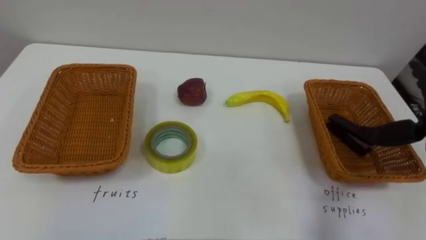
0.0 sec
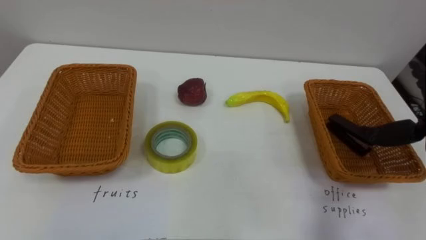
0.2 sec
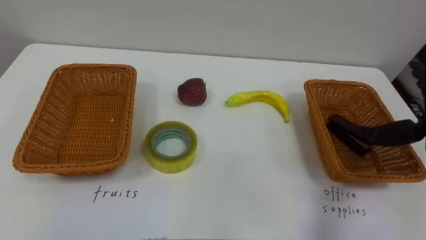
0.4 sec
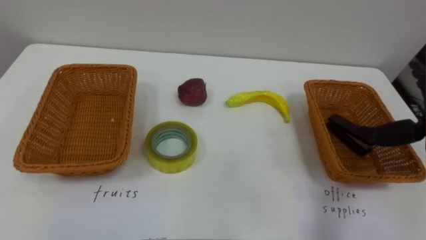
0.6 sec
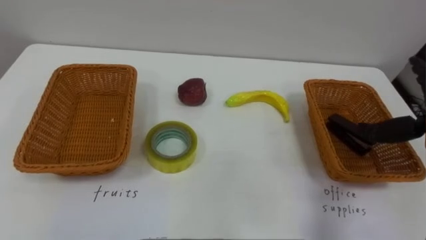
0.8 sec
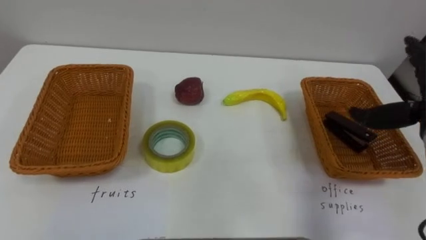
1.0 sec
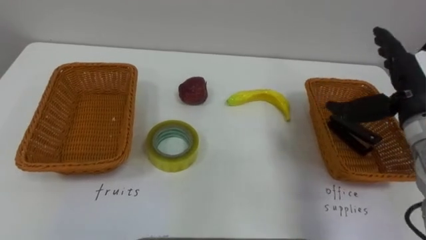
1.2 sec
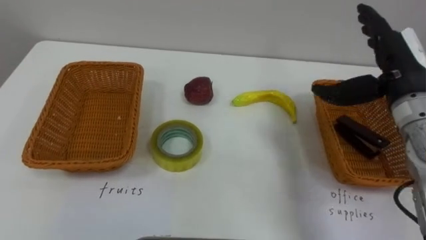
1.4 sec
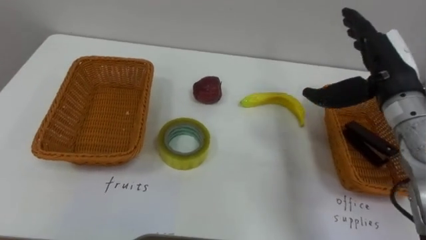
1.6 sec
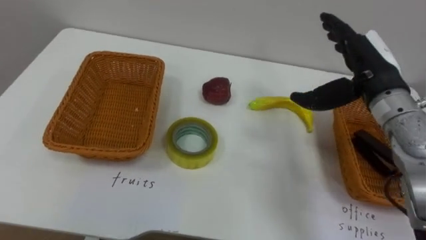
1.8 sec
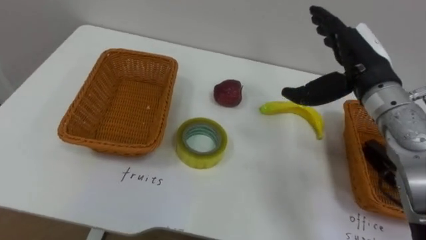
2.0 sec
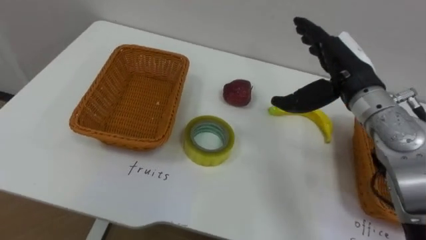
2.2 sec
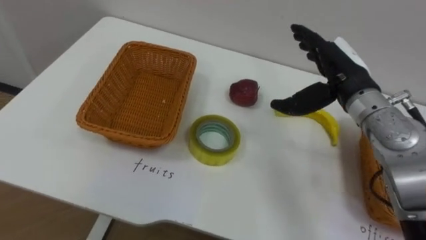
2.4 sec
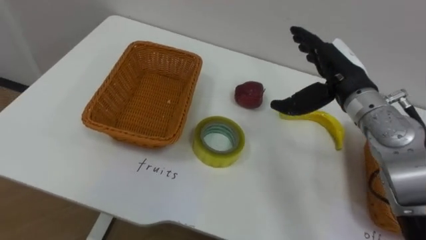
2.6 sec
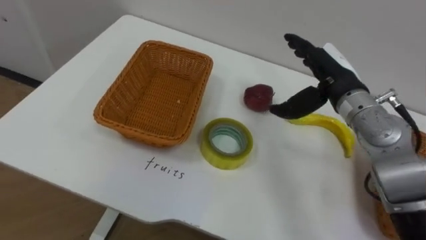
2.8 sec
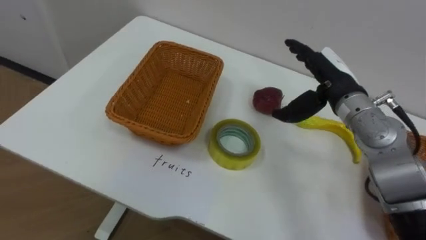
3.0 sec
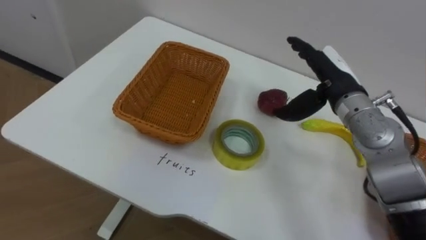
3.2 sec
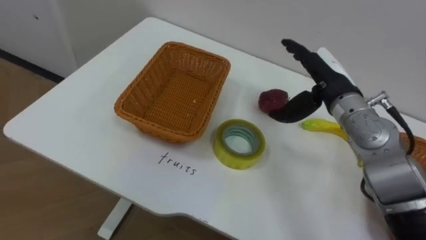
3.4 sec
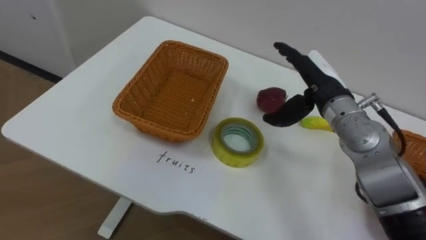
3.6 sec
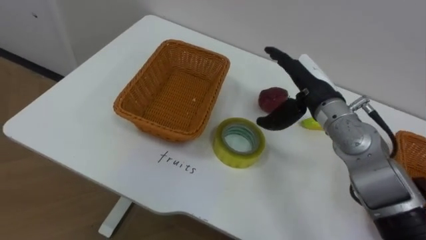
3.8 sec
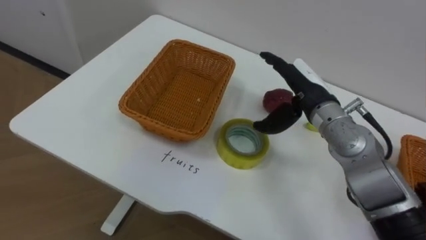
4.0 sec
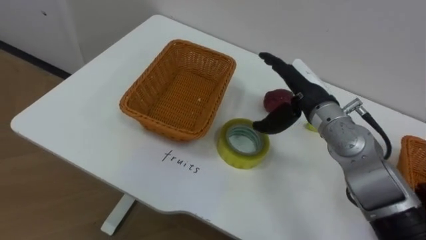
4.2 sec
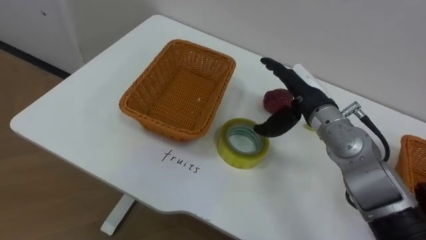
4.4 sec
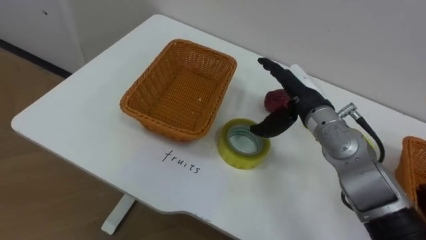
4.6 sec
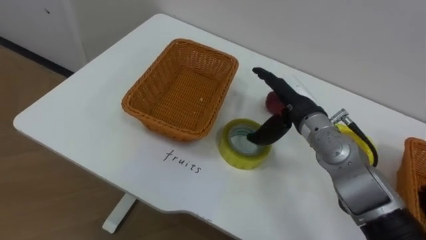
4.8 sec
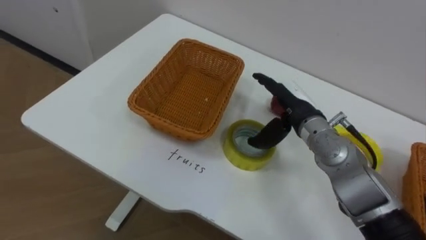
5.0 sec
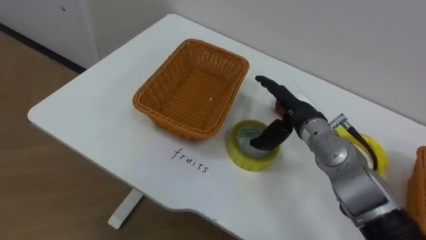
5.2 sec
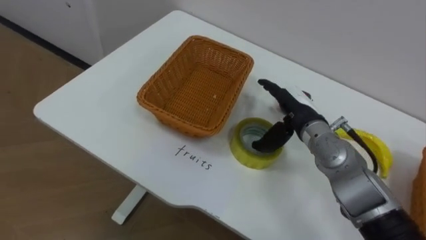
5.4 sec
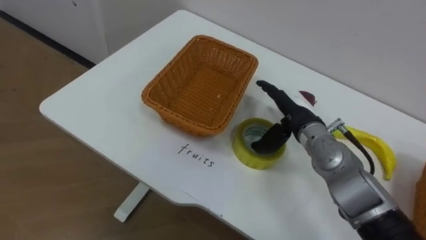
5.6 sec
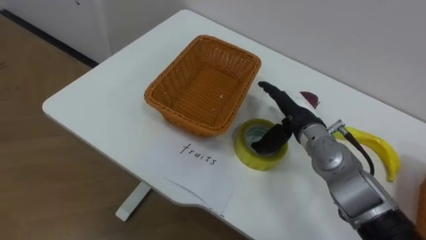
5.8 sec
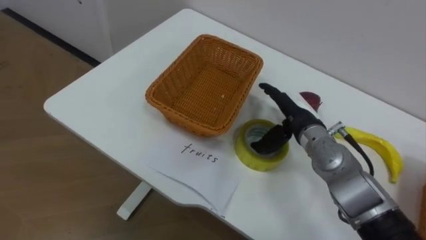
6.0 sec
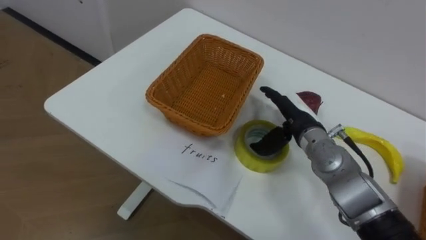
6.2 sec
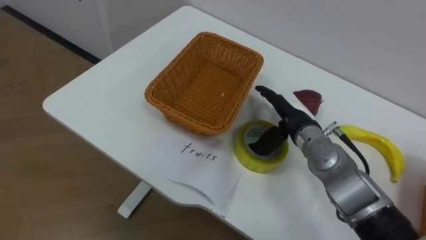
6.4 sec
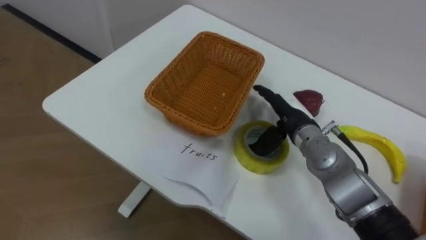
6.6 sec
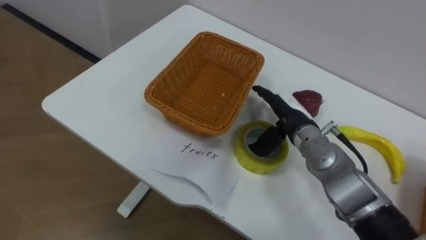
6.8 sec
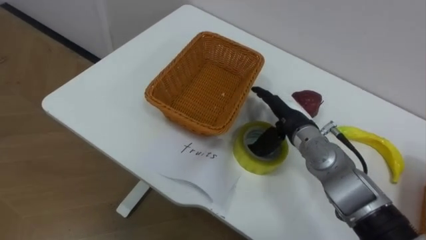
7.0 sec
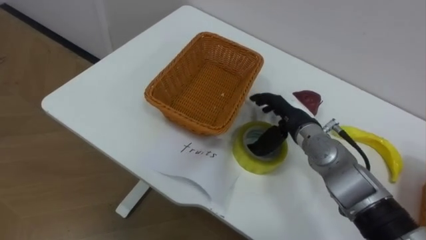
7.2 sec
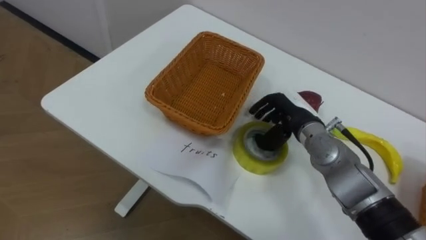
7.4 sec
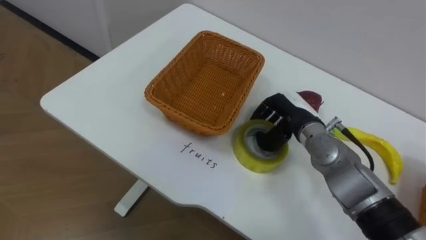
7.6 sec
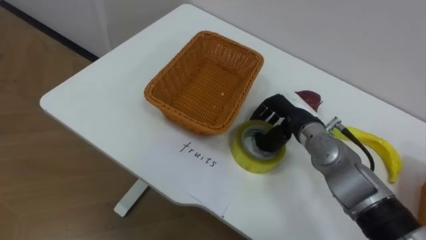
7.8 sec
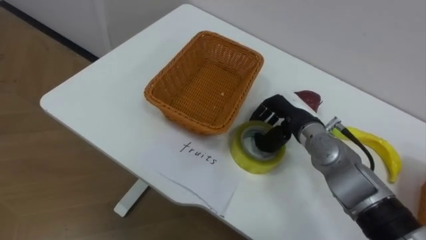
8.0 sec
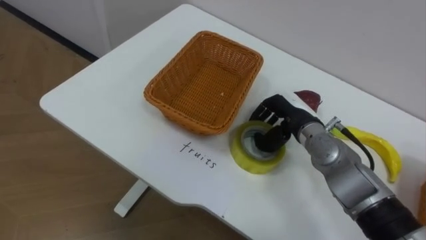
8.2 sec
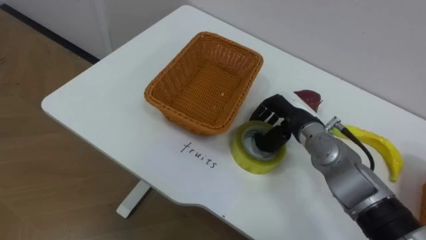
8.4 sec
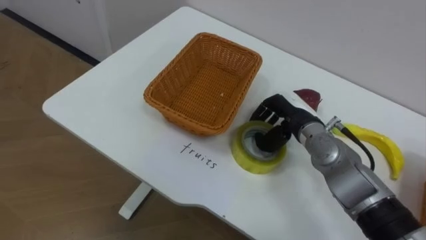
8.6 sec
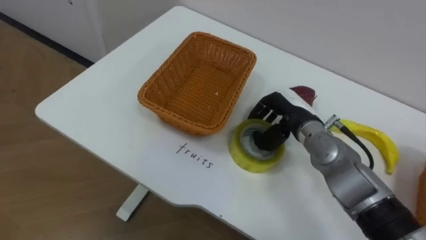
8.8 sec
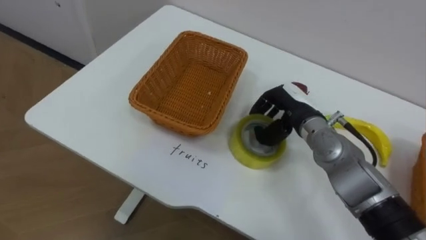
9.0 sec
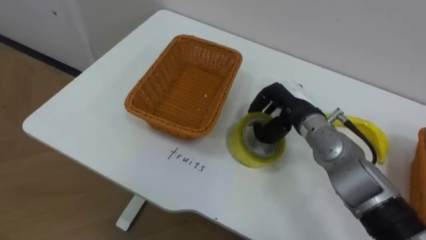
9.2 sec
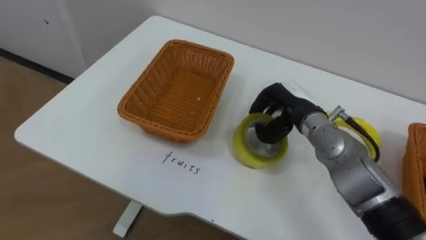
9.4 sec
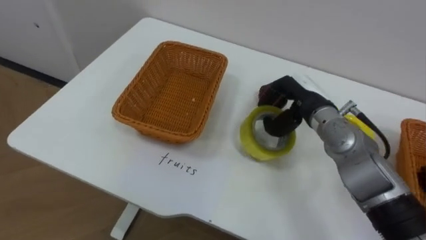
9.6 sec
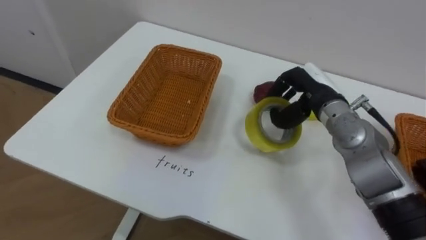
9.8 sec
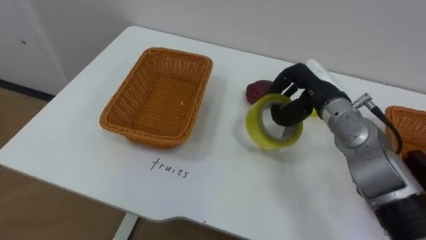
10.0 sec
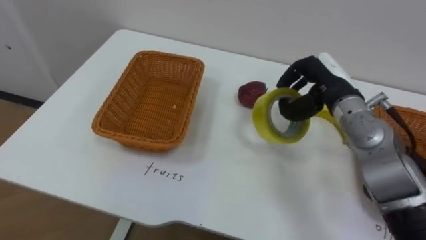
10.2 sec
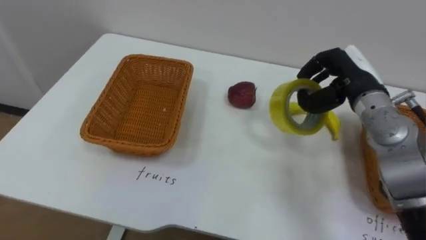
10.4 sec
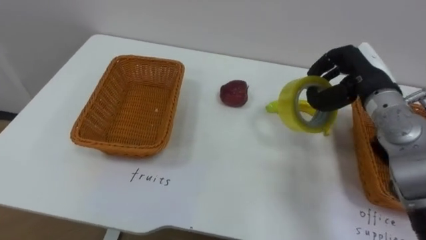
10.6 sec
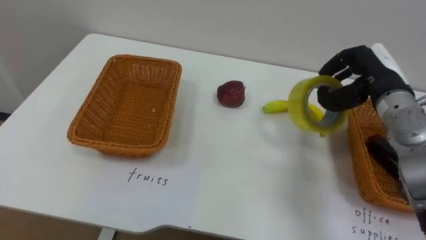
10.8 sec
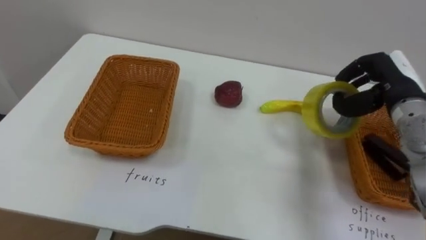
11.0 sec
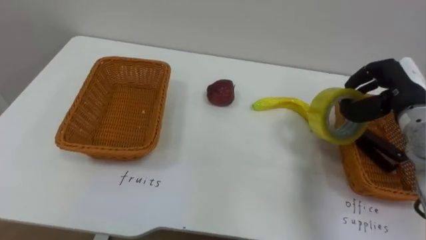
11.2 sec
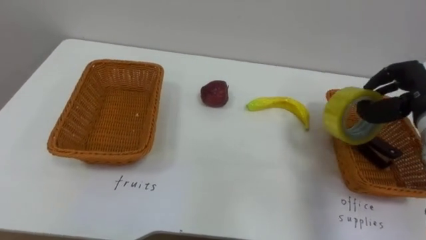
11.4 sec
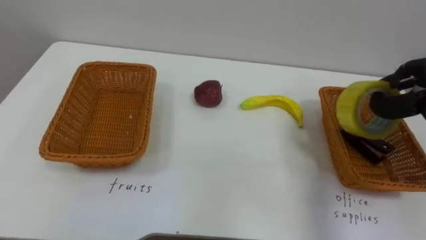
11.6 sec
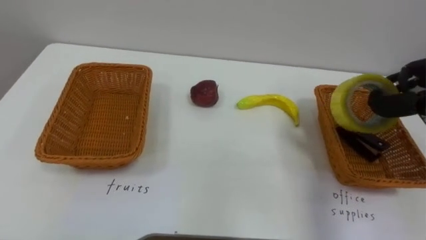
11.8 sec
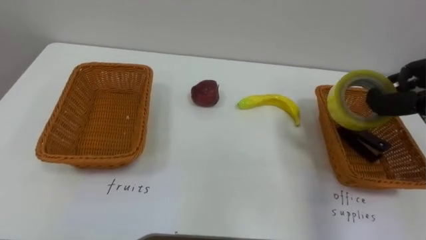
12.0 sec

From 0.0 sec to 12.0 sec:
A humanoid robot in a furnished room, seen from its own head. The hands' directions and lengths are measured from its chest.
Task of the whole recording: Separate the items on the table and place them into the two baskets.
From 1.6 sec to 3.0 sec: The right hand moves to the left, approximately 5 cm.
From 4.4 sec to 6.0 sec: The right hand travels downward by about 5 cm.
From 6.0 sec to 7.6 sec: The right hand closes.
From 9.0 sec to 10.4 sec: The right hand is displaced to the right and upward by about 10 cm.

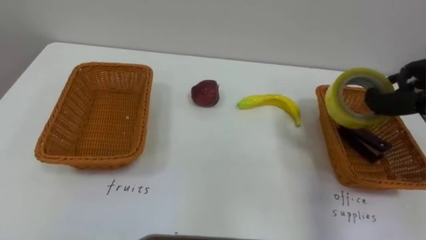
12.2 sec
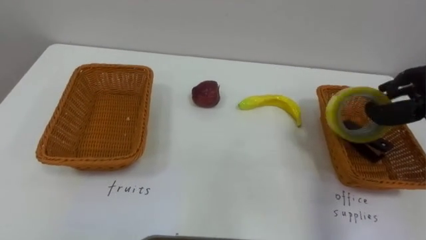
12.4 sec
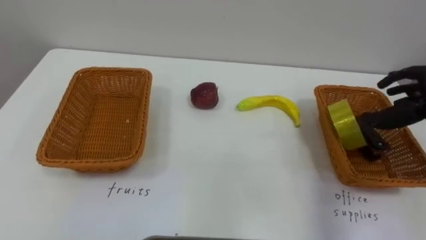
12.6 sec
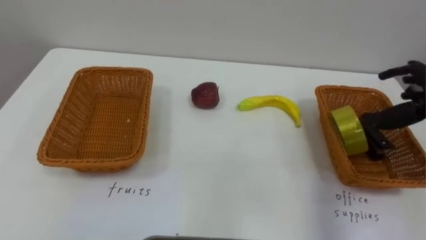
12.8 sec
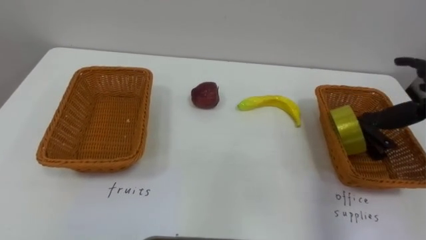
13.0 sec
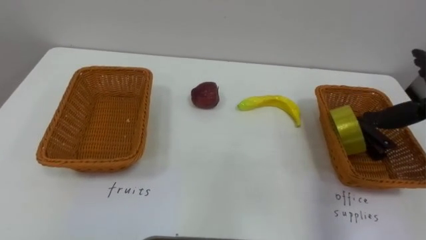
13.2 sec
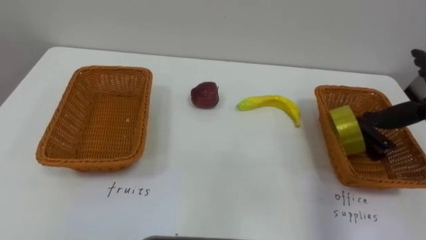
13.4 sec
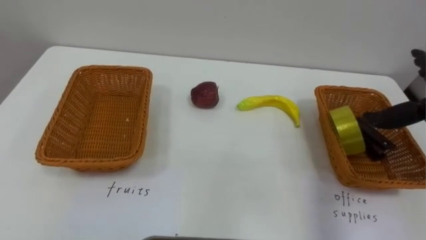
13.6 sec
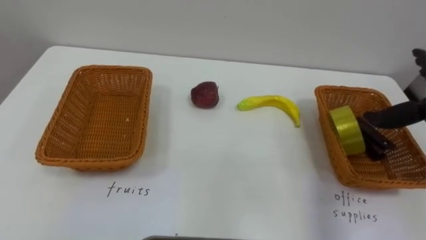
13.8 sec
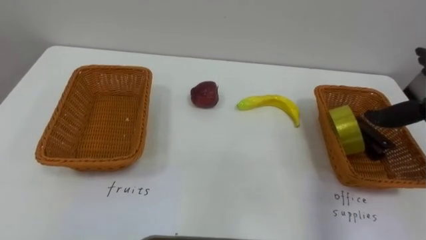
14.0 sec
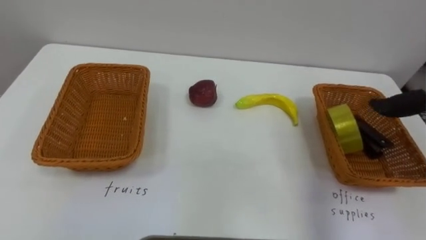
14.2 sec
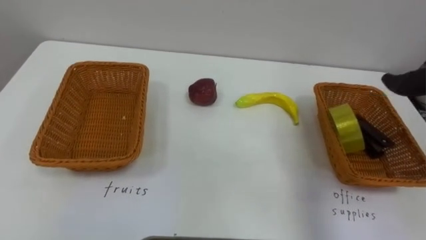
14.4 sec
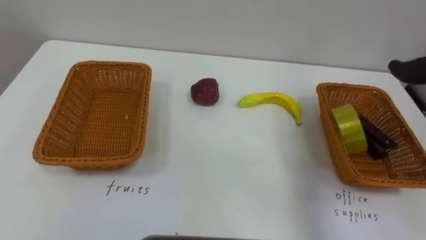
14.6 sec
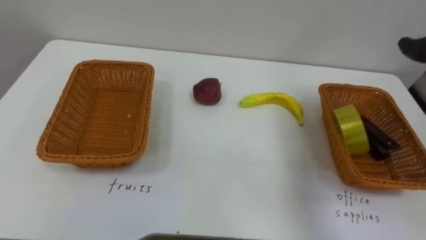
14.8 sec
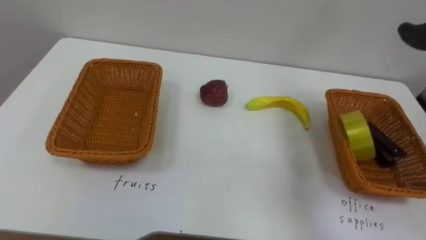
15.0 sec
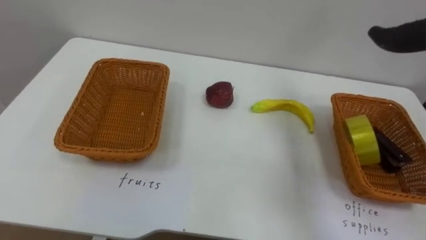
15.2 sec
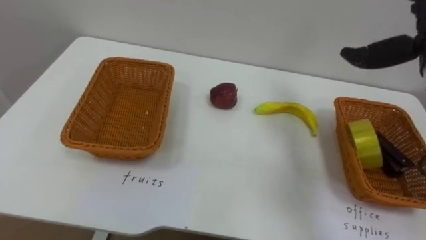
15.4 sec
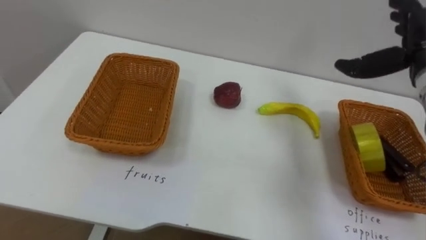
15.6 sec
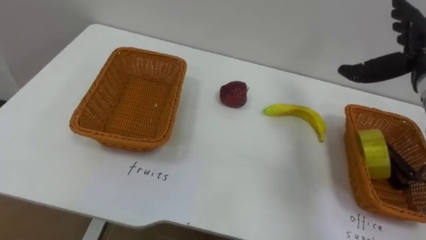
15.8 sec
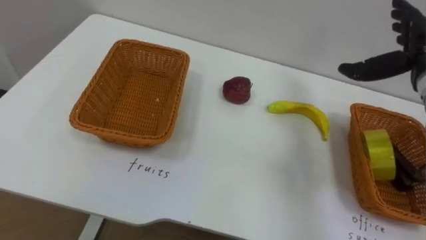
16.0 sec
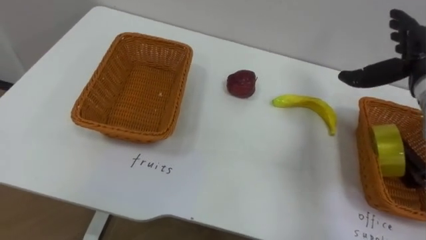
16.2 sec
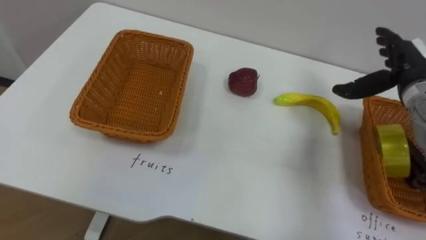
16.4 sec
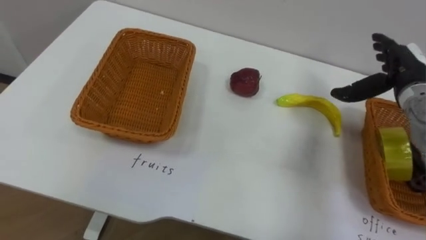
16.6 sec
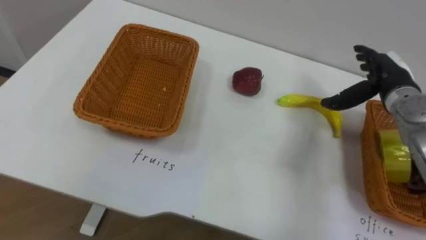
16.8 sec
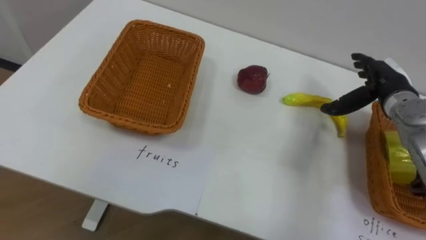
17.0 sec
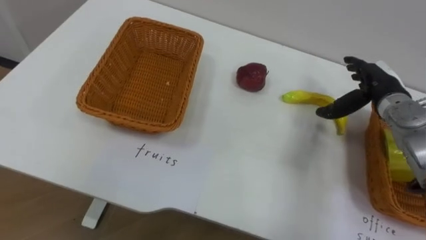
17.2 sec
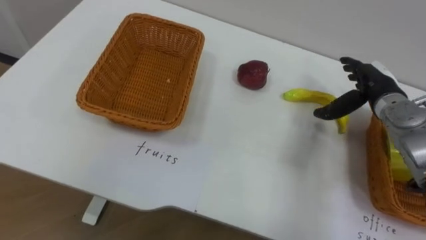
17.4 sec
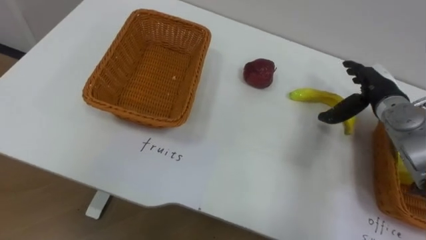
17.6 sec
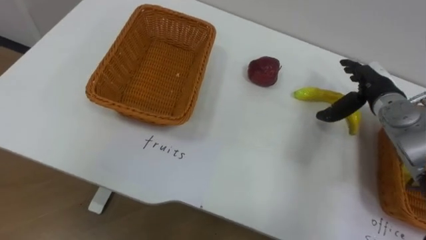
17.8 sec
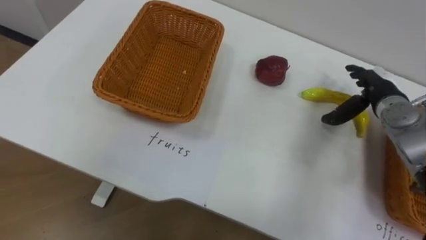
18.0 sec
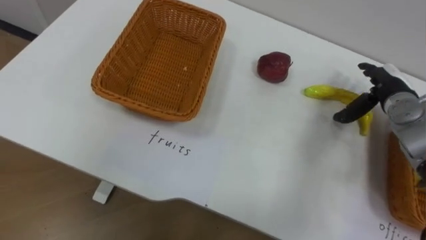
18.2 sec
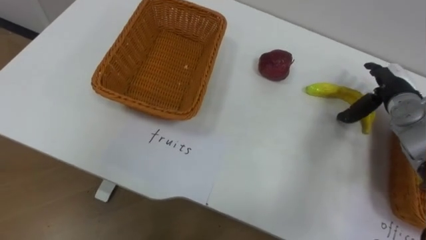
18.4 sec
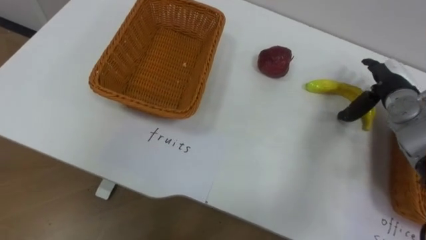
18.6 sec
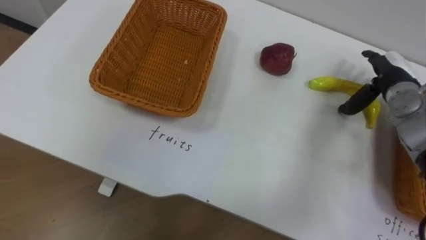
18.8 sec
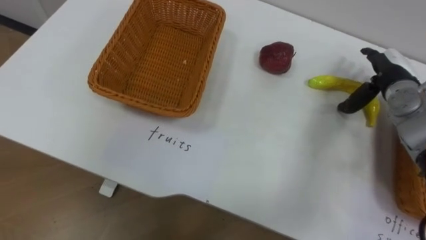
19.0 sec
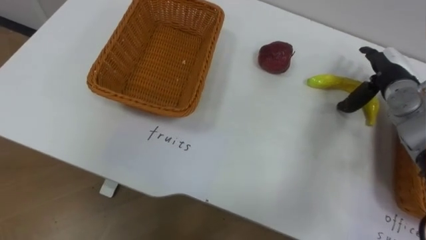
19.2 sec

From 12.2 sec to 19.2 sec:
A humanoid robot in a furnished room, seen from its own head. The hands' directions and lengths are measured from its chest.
Task of the whole recording: Separate the items on the table and place them into the two baskets.
From 16.4 sec to 17.8 sec: The right hand heads downward, covering about 5 cm.
